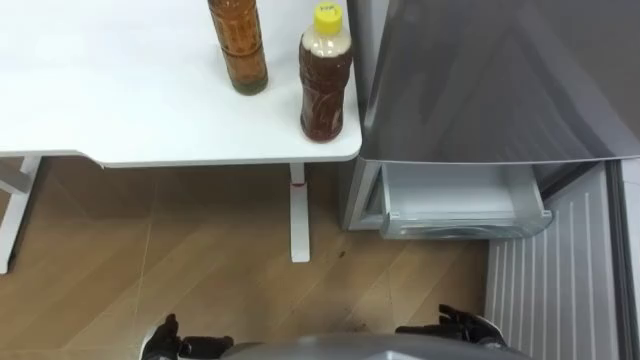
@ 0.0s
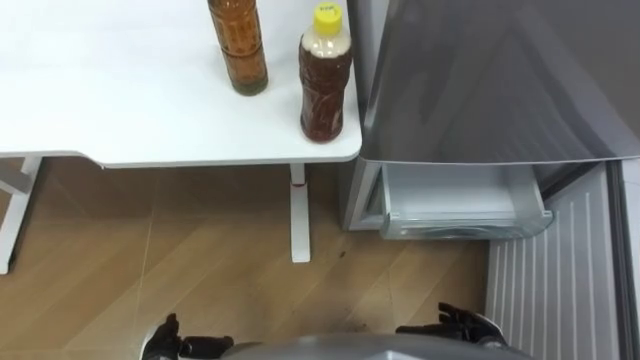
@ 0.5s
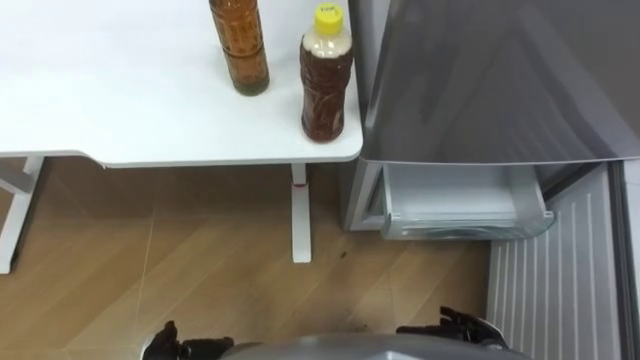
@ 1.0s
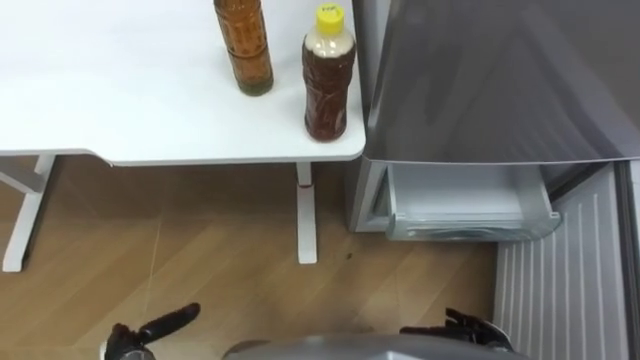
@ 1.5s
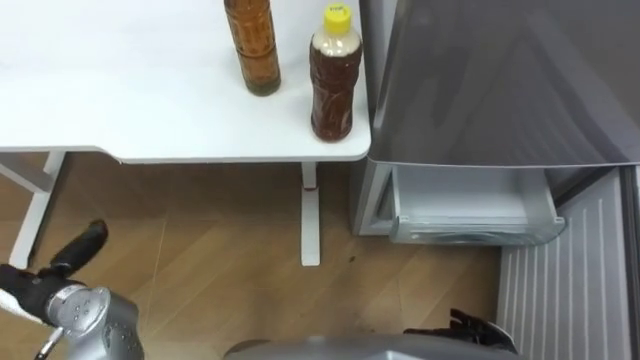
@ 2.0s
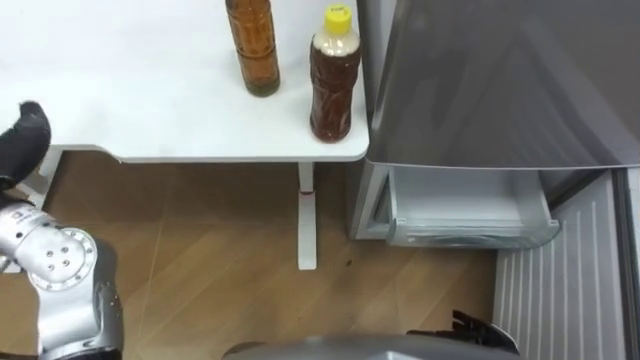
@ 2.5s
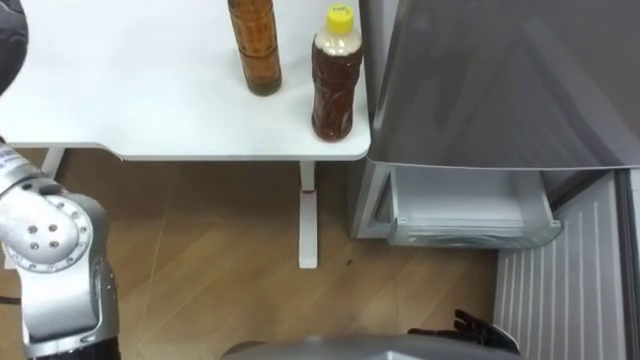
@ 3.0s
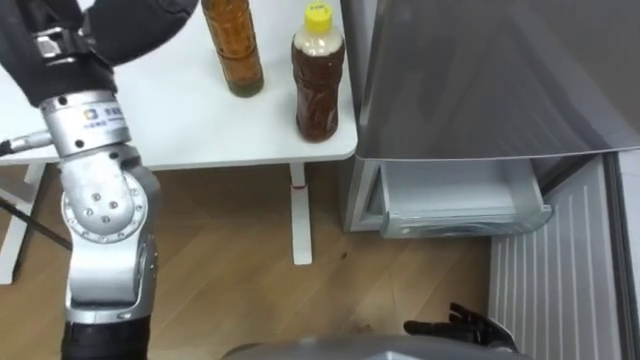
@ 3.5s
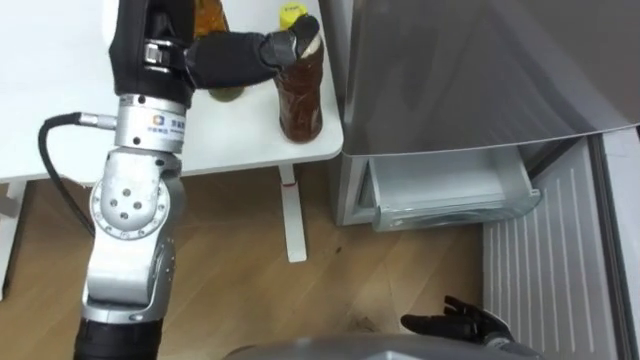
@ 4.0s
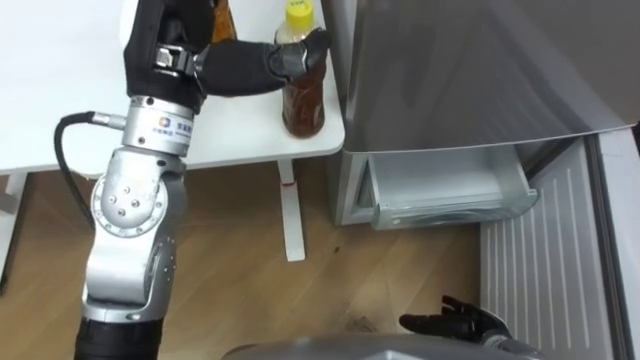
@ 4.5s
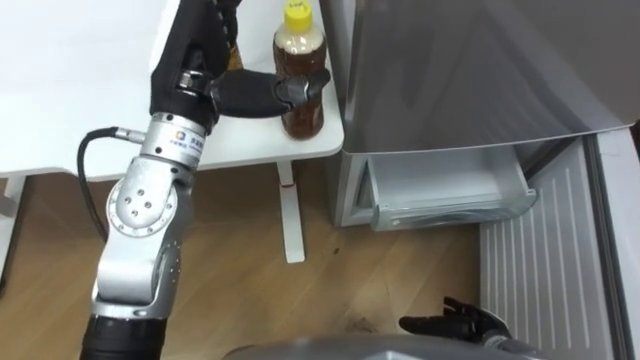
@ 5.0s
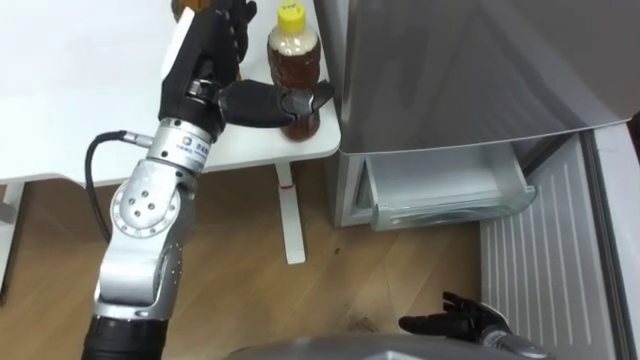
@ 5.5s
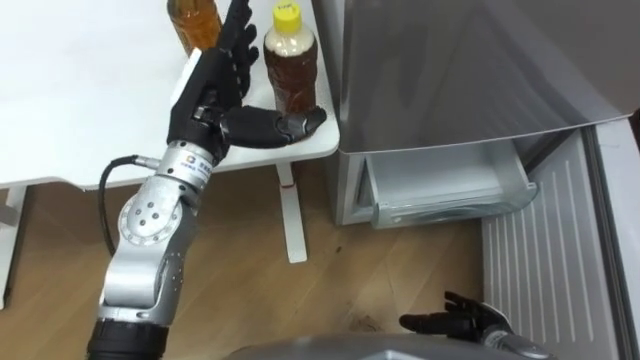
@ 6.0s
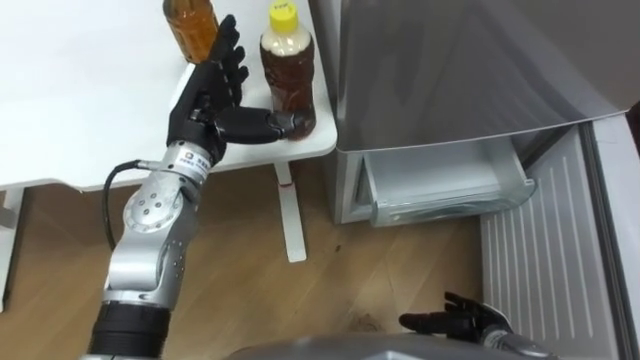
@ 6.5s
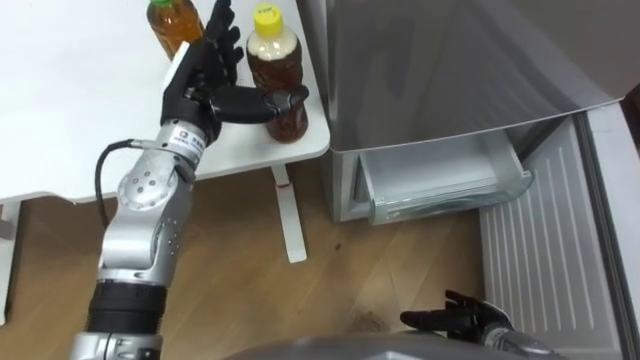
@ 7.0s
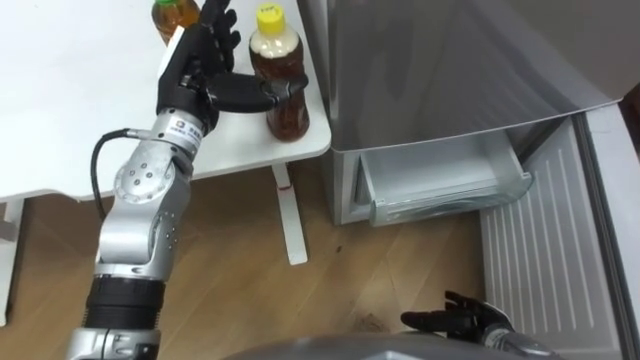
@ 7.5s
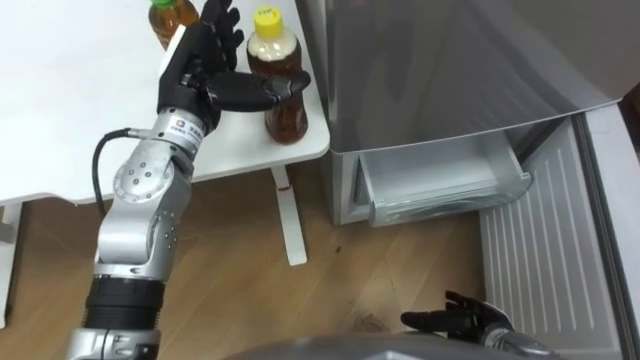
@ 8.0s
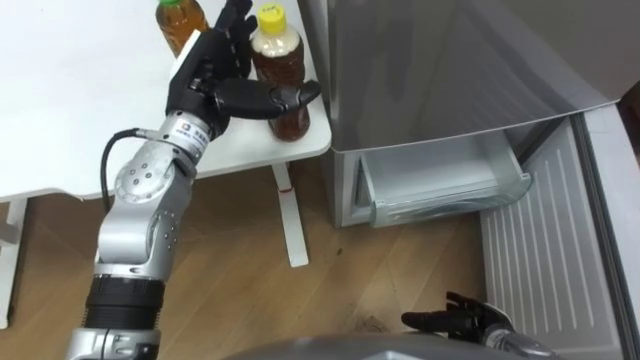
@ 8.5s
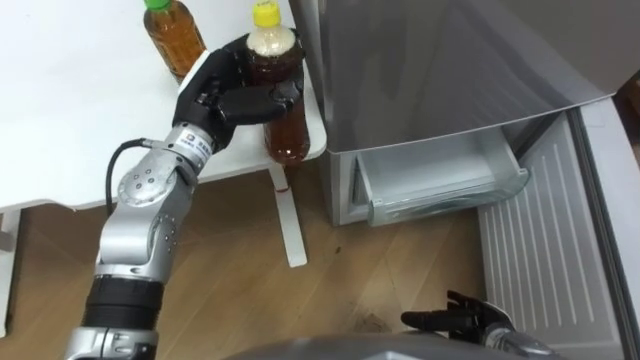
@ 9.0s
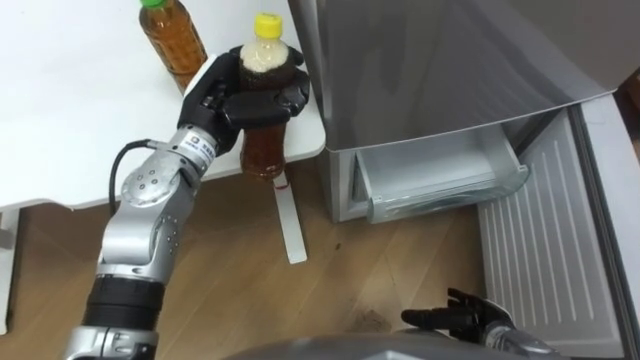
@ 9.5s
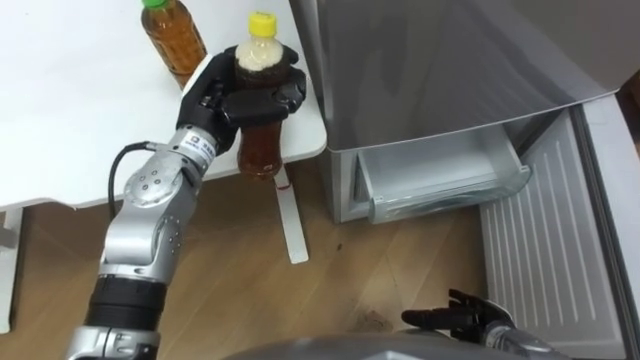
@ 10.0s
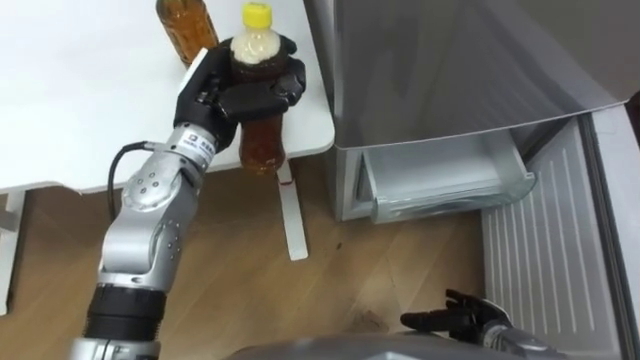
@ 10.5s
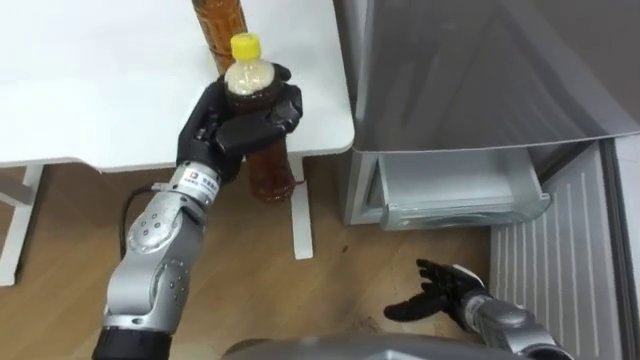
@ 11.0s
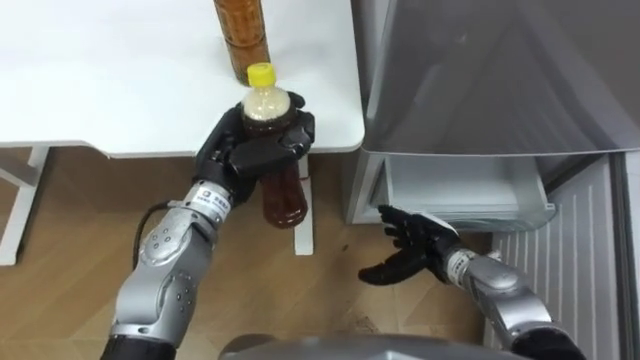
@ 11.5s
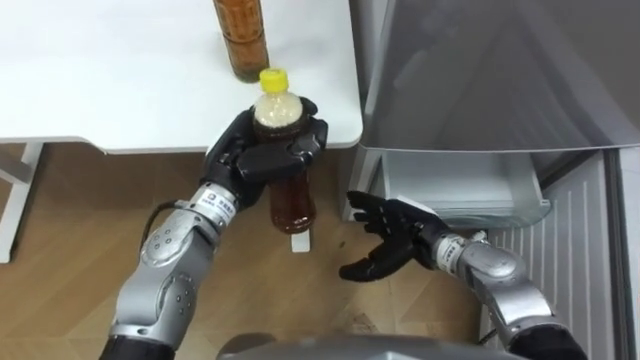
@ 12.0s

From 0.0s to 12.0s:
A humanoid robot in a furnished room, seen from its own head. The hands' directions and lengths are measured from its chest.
Task of the whole recording: Place the drink on the table on the bottom shelf of the refrigerator, then close the drawer and the refrigerator door.
From 4.0s to 6.0s: The left hand is displaced downward by approximately 10 cm.
From 8.0s to 10.0s: The left hand closes.
From 10.0s to 12.0s: The left hand shifts some 5 cm backward, while the right hand goes about 20 cm forward, to the left and upward.

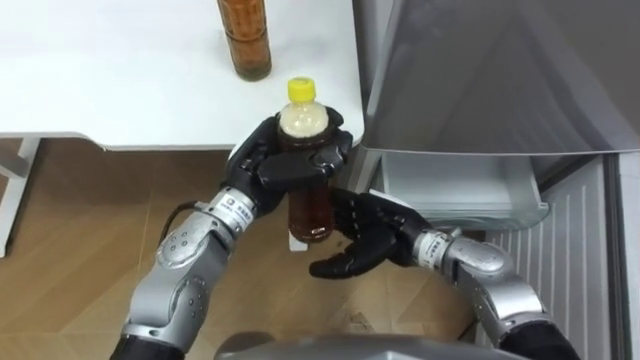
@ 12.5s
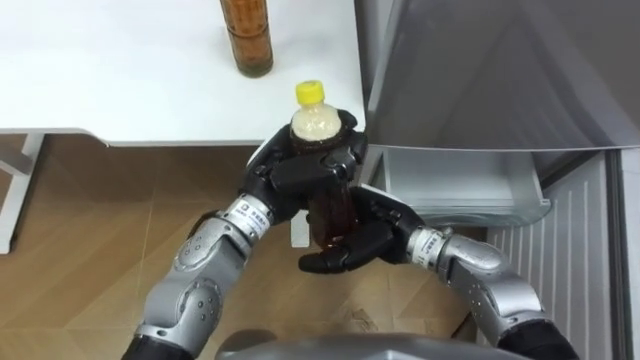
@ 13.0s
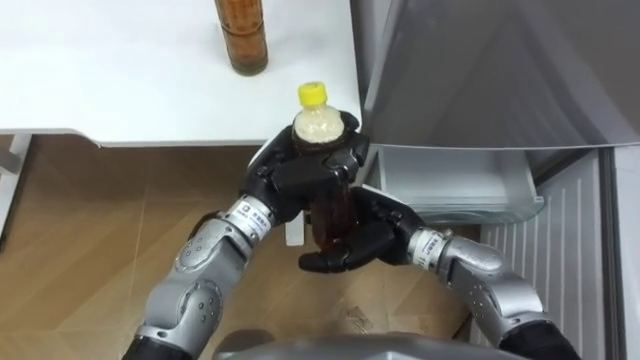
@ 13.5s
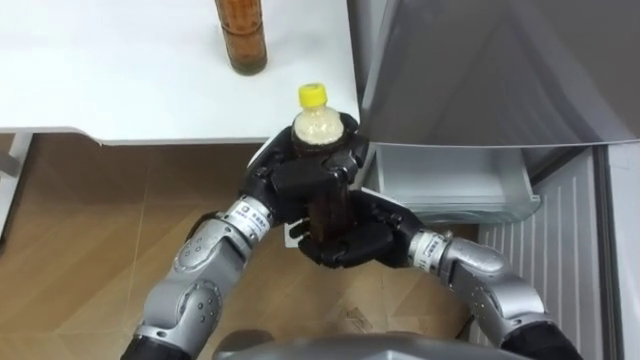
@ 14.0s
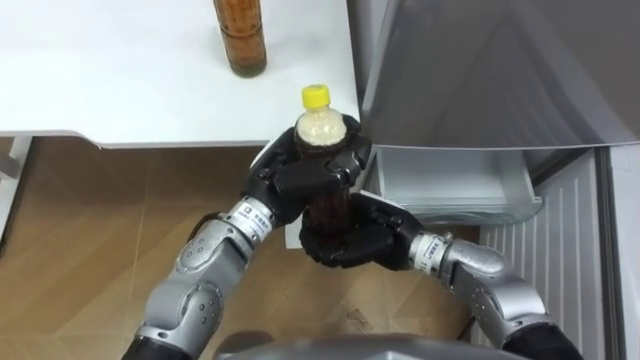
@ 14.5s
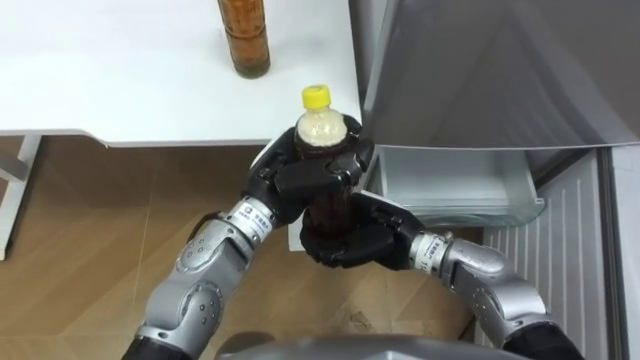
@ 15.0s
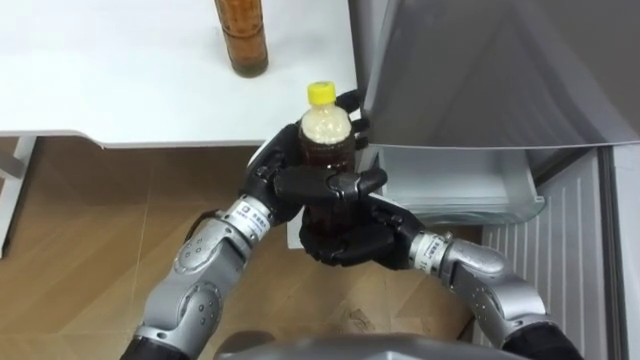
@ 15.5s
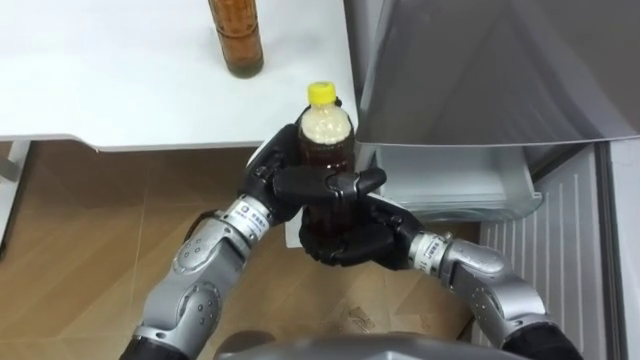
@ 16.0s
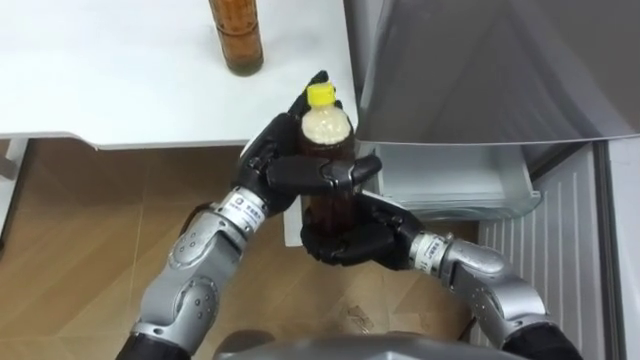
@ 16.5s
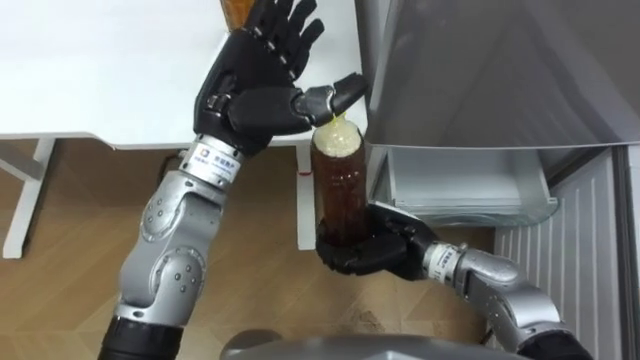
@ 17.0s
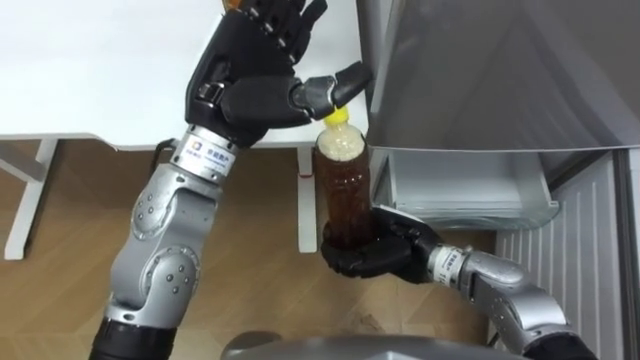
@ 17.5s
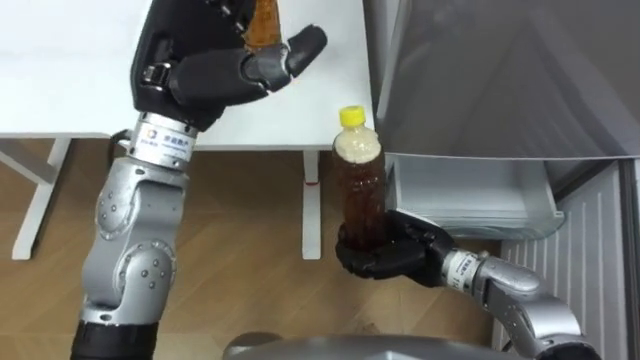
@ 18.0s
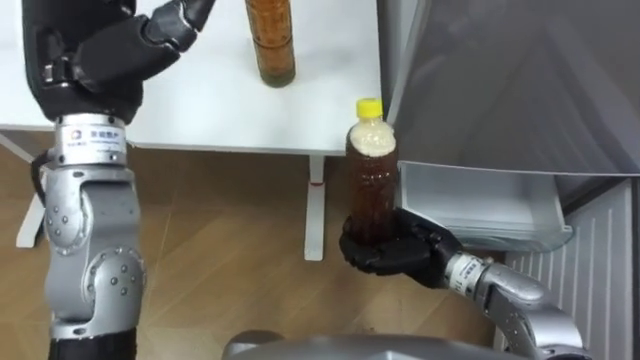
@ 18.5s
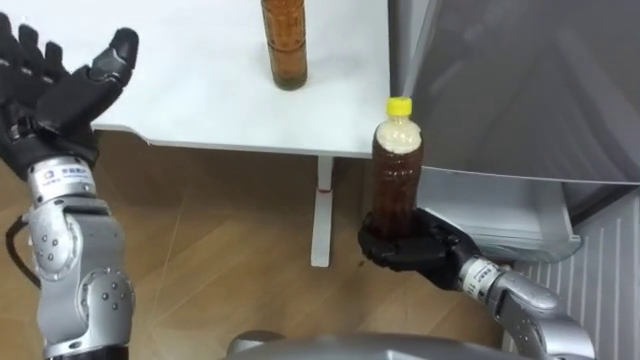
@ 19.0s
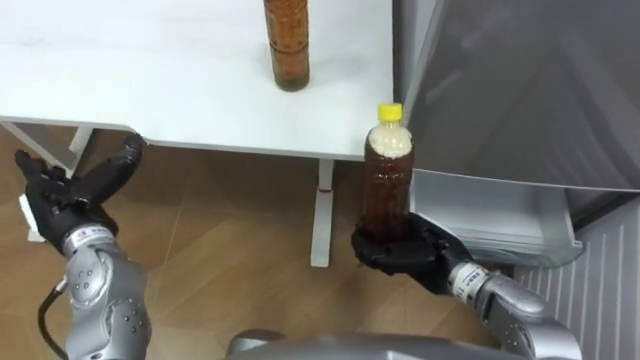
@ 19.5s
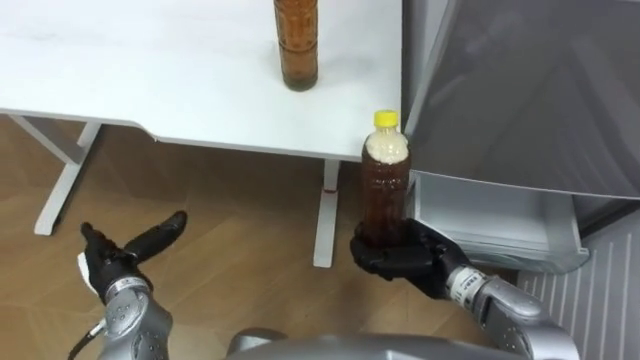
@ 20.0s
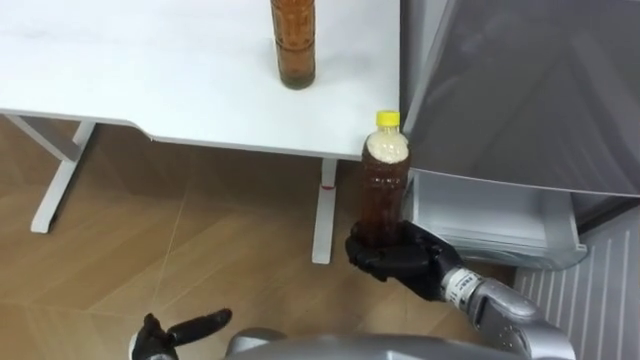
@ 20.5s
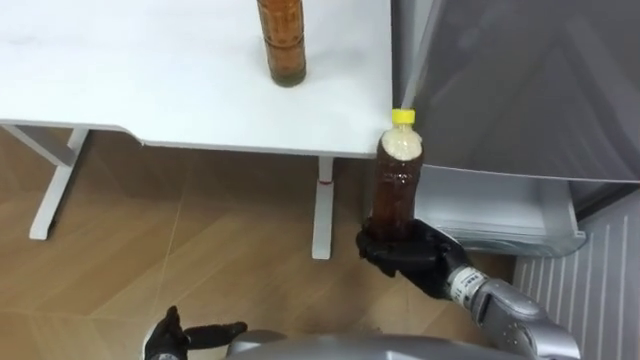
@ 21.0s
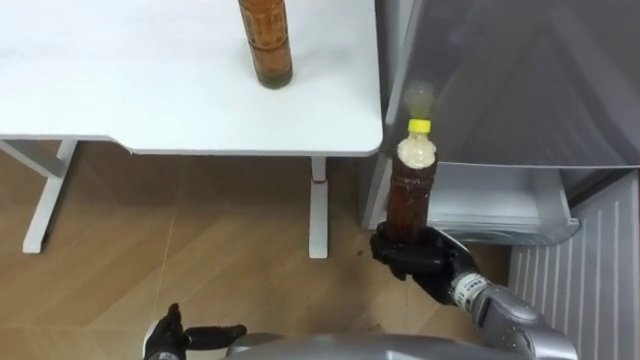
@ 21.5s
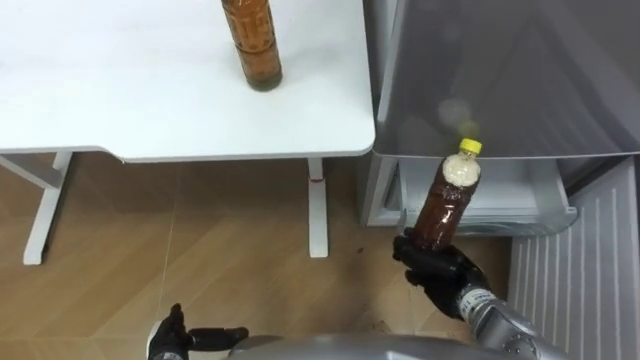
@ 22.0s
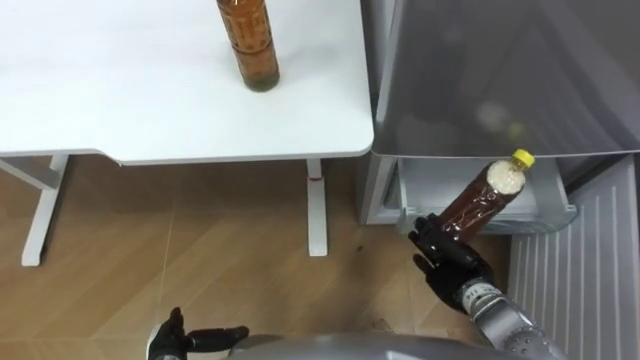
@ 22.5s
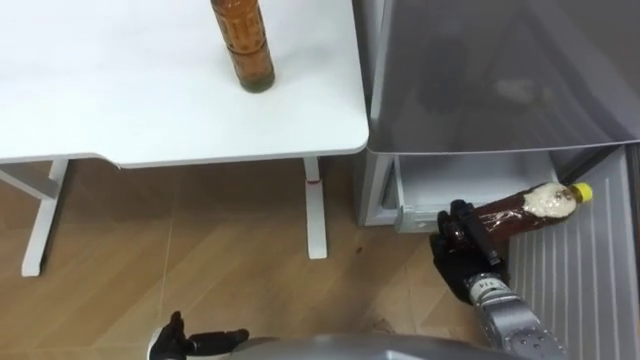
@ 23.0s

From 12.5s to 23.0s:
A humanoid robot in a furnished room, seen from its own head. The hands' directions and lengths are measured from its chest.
Task of the whole recording: Place the drink on the table on the bottom shelf of the refrigerator, then close the drawer and the refrigerator door.
From 12.5s to 14.5s: The right hand closes its fingers.
From 14.5s to 16.5s: The left hand opens.
From 16.5s to 19.0s: The left hand moves to the left, roughly 20 cm. Meanwhile the right hand is displaced to the right by approximately 10 cm.
From 19.0s to 21.0s: The left hand heads downward and backward, covering approximately 35 cm.
From 21.0s to 23.0s: The right hand goes approximately 5 cm to the right.
